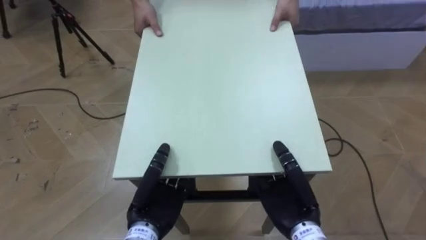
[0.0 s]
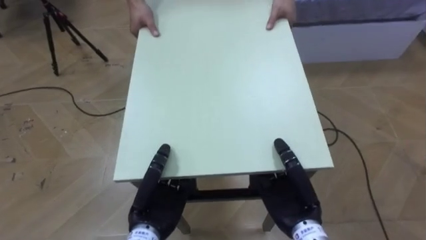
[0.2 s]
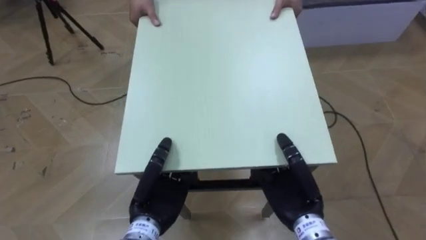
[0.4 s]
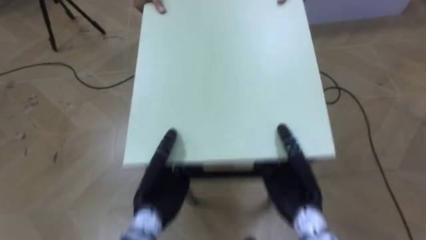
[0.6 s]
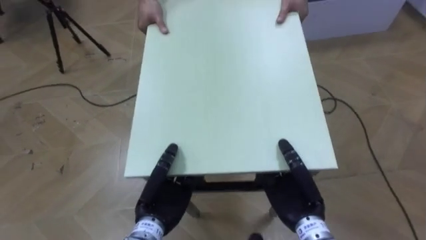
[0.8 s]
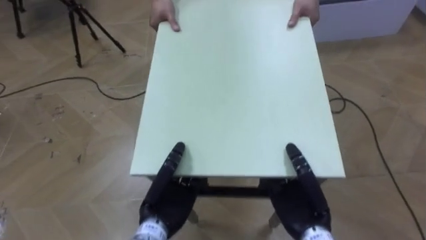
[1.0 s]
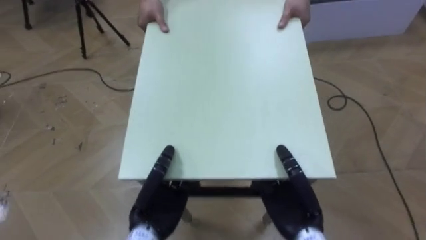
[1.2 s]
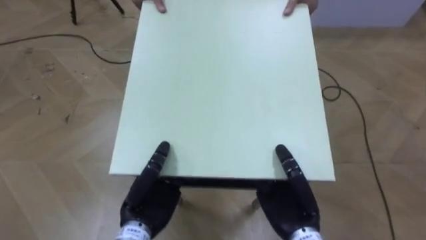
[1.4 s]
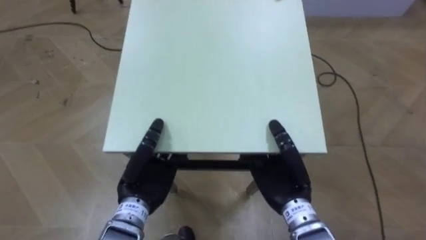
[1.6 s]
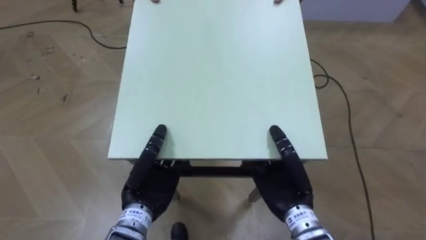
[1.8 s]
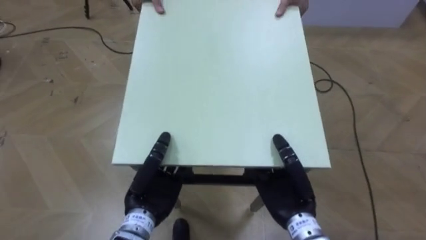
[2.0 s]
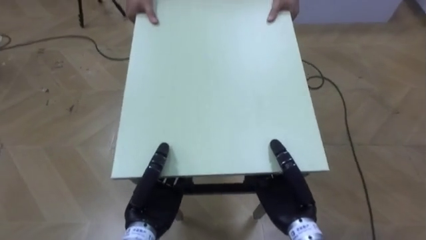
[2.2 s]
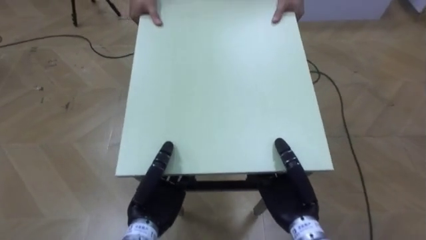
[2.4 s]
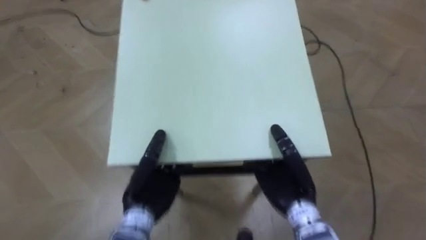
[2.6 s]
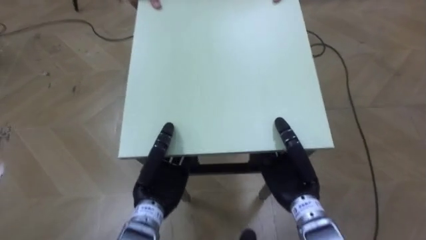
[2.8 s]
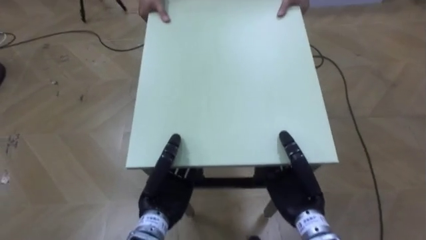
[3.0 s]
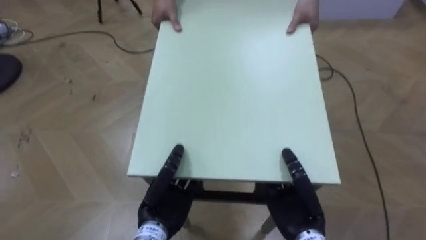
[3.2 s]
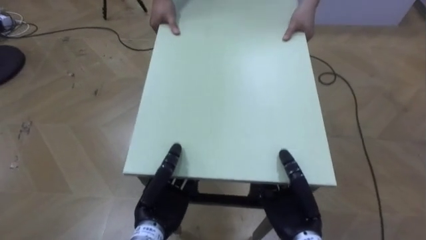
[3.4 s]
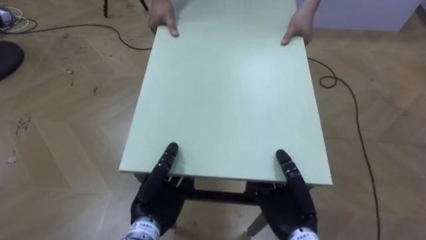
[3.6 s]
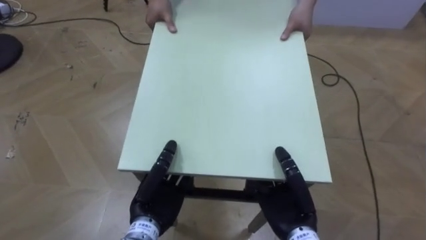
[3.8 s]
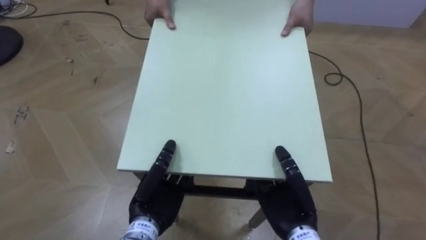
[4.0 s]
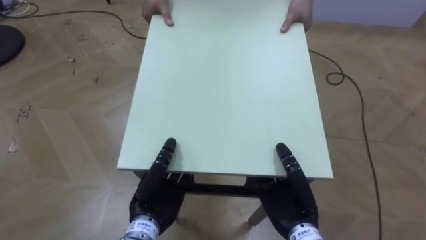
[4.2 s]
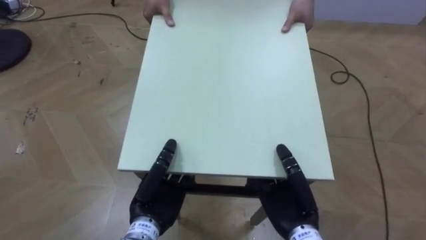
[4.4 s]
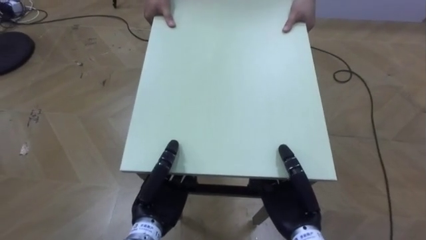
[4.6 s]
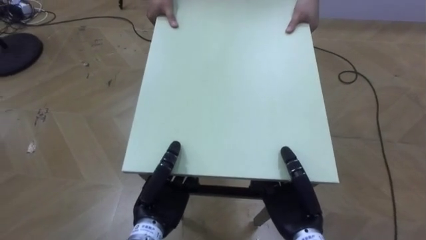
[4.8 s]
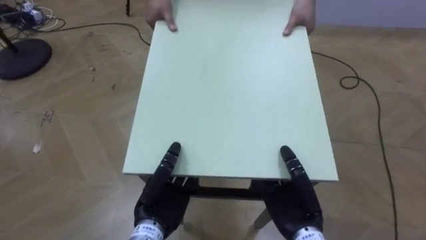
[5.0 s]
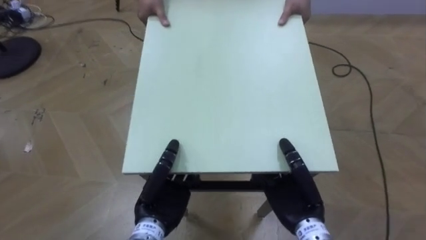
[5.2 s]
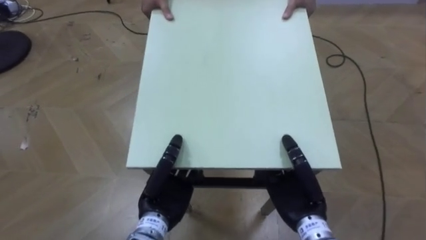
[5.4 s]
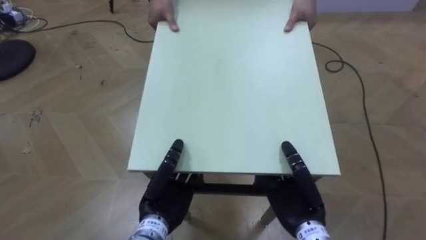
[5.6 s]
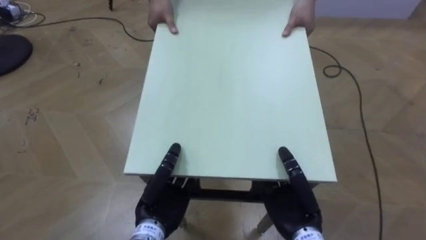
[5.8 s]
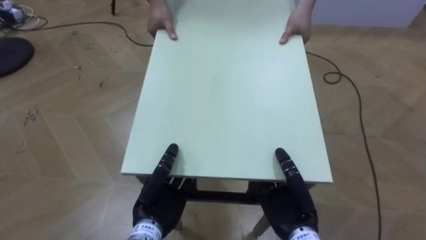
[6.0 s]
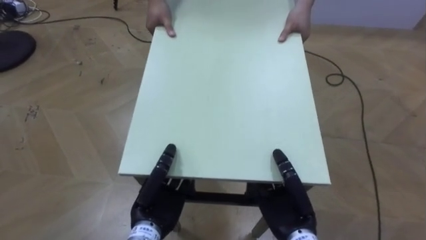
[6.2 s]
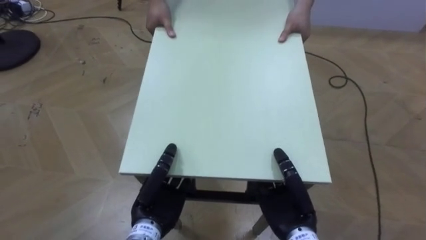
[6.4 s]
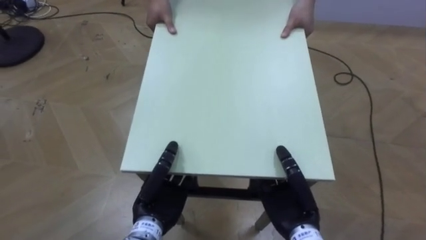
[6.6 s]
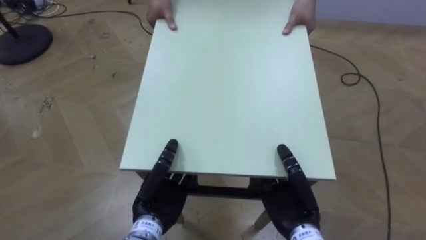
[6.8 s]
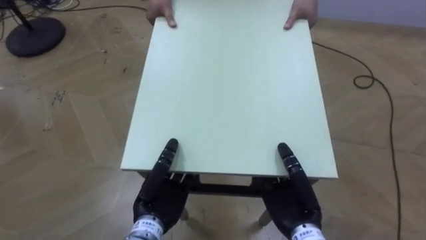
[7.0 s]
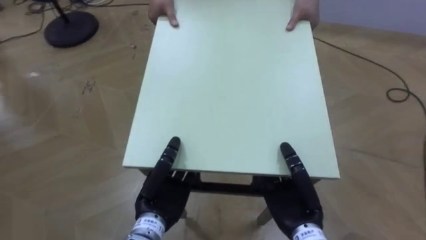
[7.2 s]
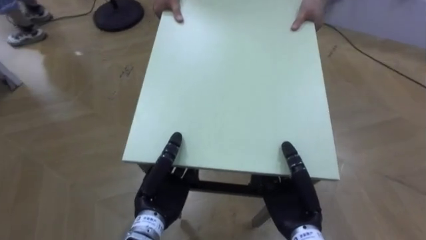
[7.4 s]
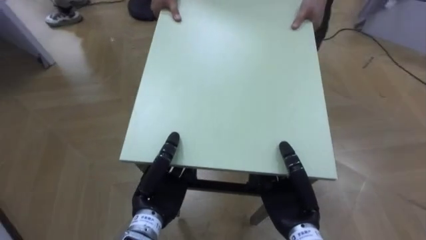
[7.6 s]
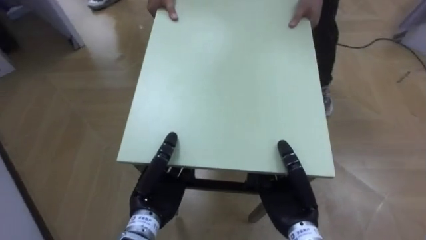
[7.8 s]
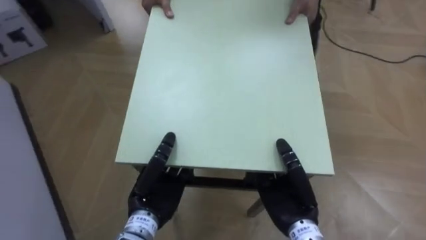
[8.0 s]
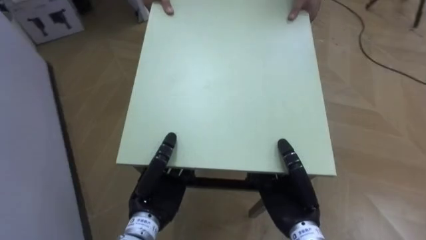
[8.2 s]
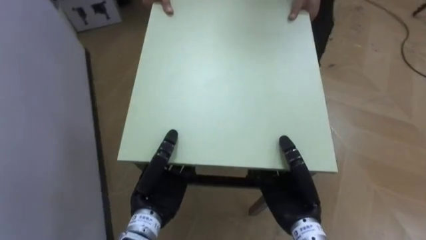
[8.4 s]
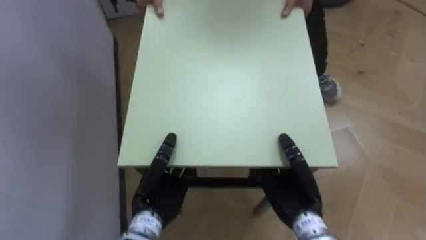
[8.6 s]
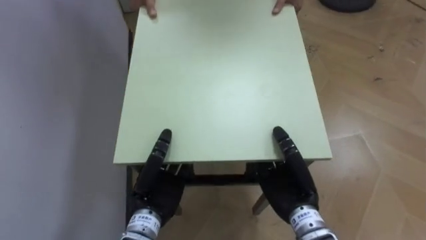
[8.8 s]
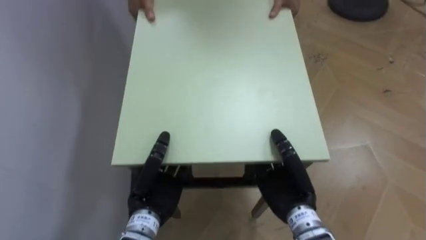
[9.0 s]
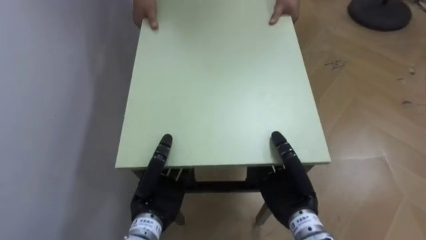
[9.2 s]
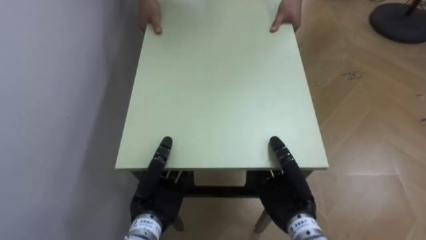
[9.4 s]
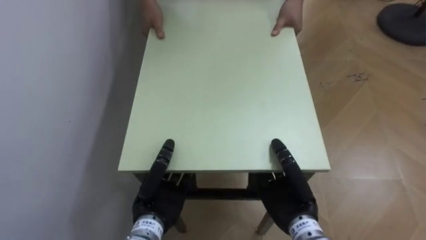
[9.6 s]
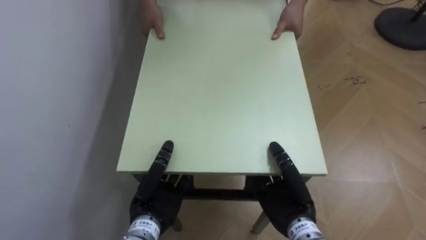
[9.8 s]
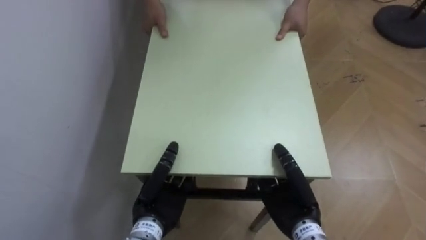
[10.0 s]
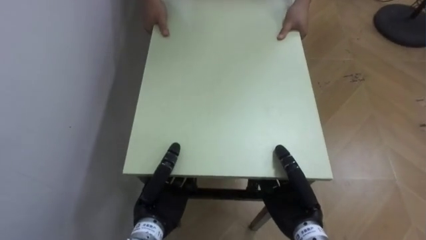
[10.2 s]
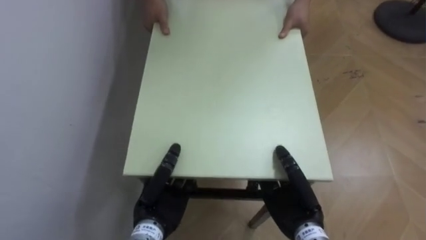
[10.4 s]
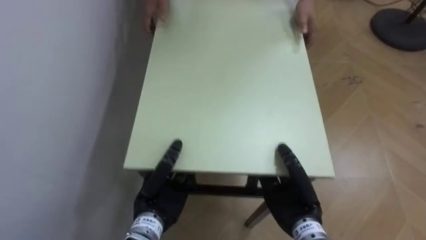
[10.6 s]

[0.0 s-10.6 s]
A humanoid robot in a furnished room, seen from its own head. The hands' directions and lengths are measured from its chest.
Task of the whole recording: Move the table to the back left with someone.
6.0 to 7.6 s: The robot's body swings roughly 30 degrees to its left.
7.6 to 9.0 s: The robot's body swings about 40 degrees to its left.

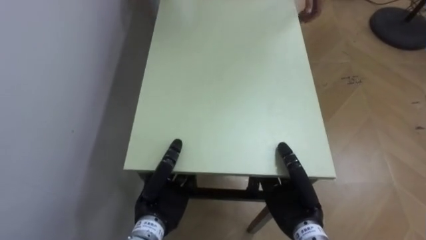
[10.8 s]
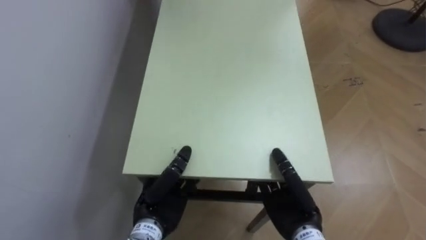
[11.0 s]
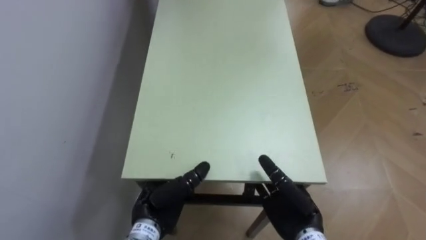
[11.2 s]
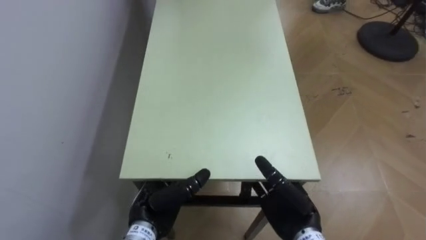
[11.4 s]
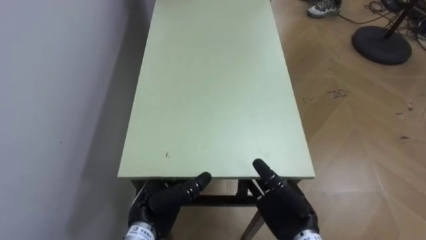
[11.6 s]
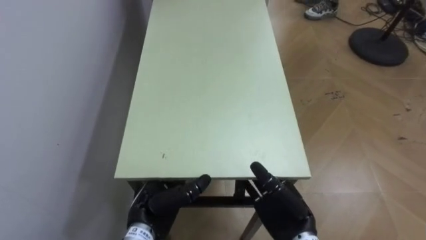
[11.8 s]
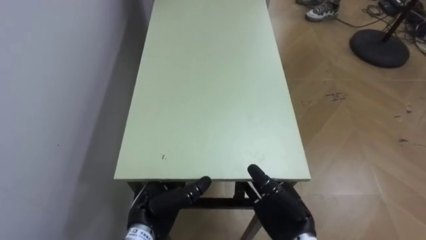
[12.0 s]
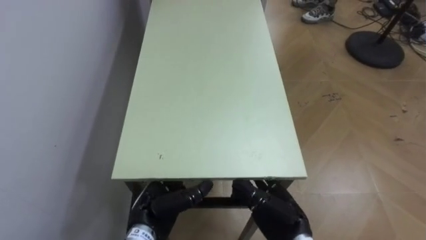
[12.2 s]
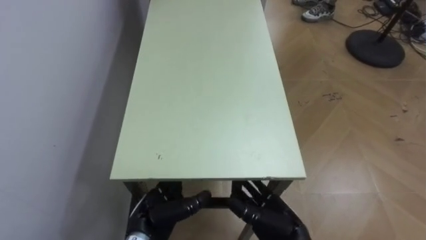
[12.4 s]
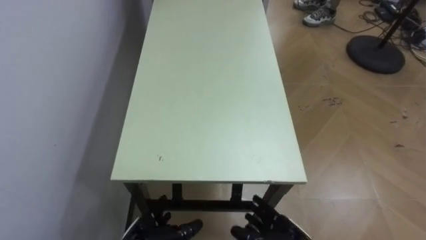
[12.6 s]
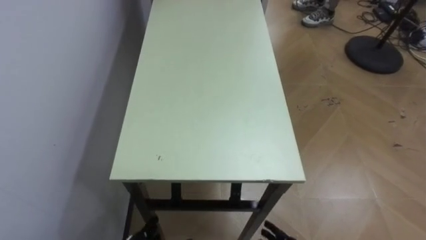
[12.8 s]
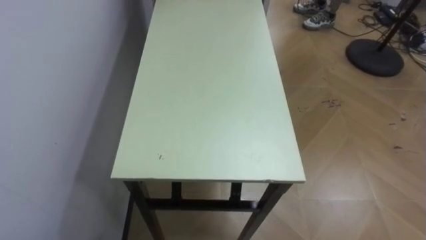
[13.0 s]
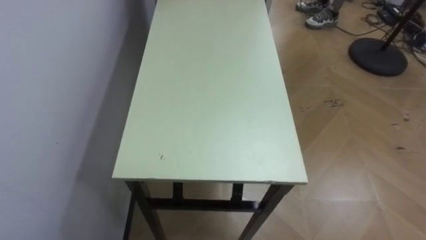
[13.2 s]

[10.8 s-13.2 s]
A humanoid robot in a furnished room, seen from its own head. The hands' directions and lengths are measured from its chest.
Task of the whole recording: Move the table to the back left with someone.
10.8 to 12.0 s: The left hand opens its fingers. The right hand opens up.

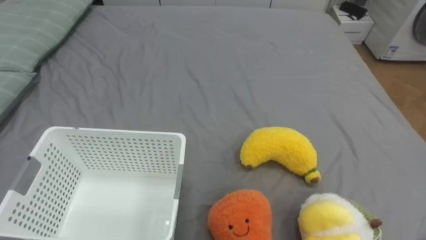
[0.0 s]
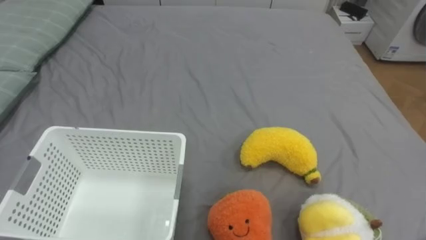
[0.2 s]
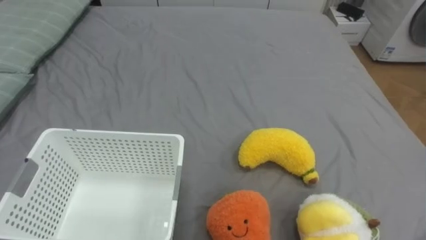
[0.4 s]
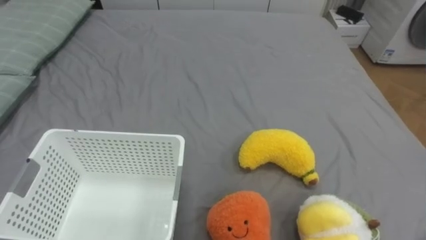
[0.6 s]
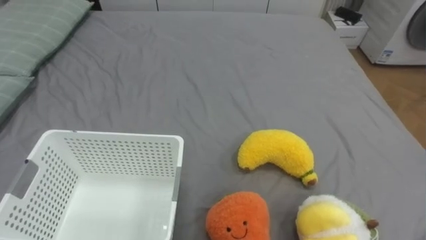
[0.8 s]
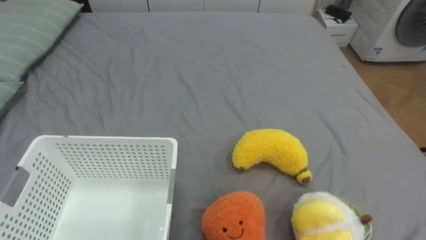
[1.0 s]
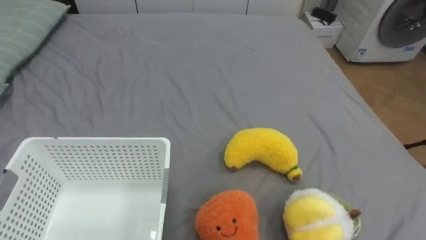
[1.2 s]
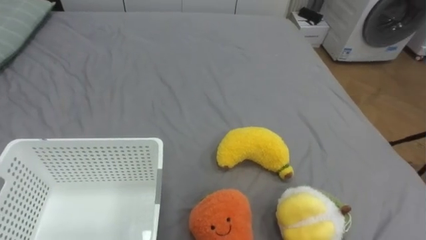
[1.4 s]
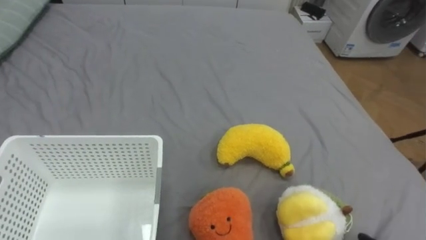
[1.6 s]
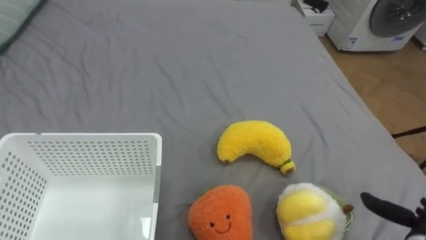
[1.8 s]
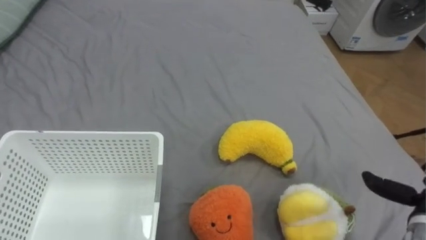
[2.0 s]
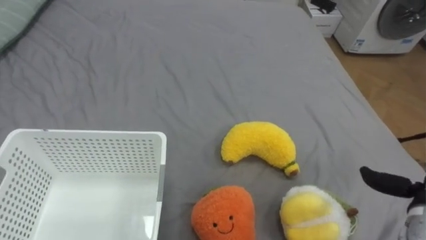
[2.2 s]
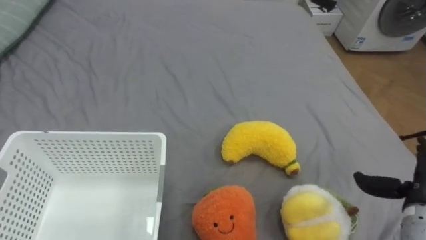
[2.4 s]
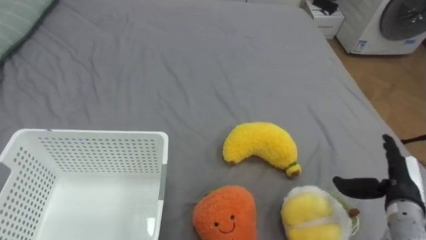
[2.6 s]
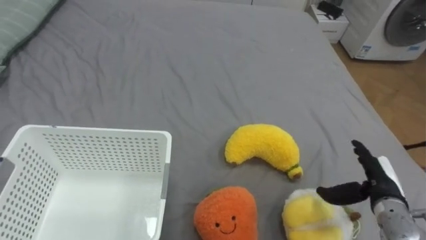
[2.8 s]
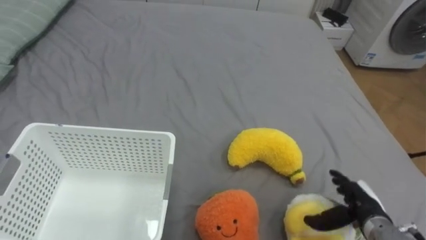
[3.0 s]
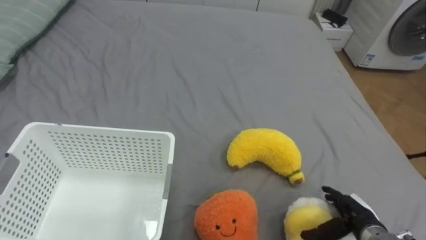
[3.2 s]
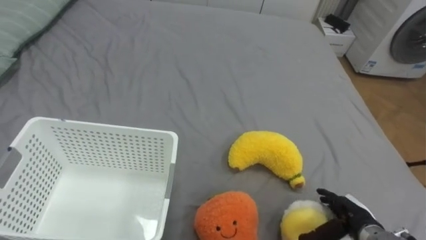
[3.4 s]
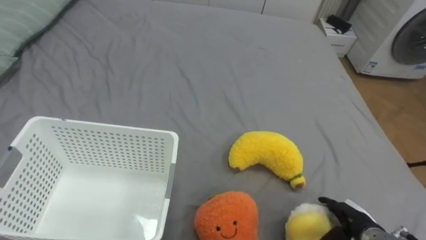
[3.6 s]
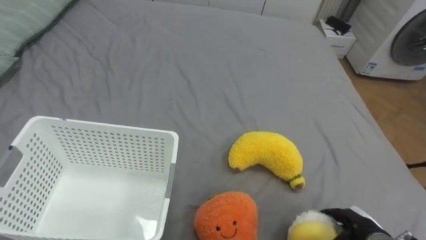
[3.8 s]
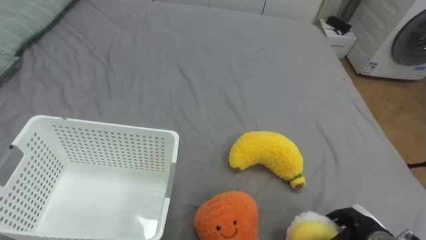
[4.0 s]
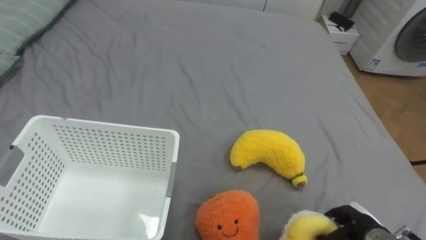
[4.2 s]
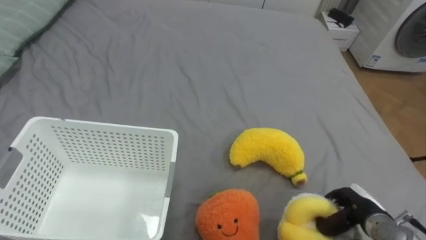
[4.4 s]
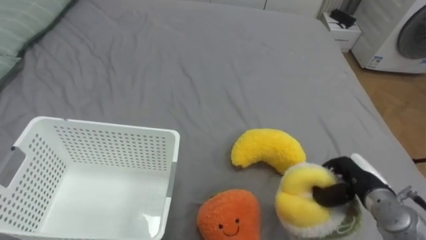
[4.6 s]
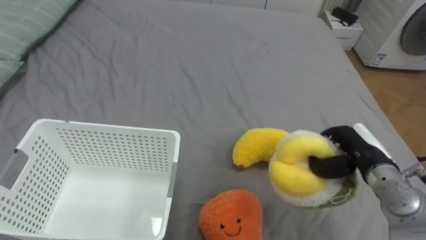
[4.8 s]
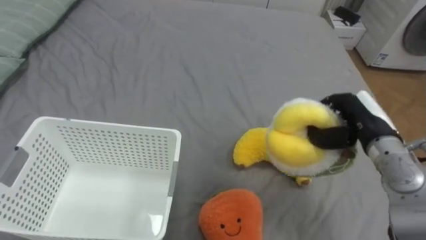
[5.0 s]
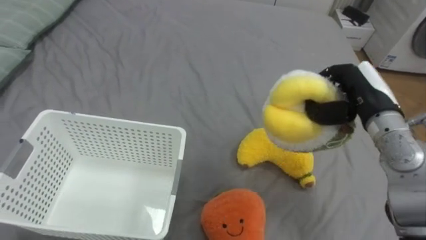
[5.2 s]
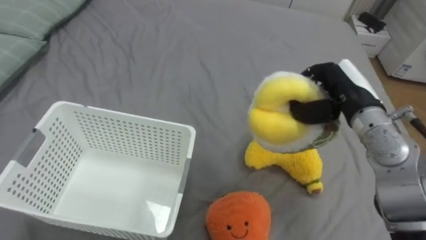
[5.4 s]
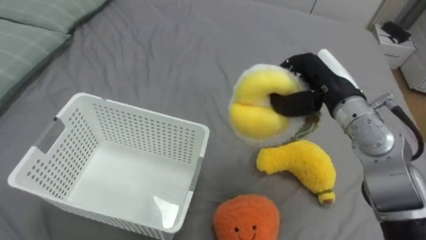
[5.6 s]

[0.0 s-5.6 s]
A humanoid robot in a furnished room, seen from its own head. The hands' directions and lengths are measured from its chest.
Task of the whole recording: Put the toys on the bed into the basket on the left.
2.8 to 4.2 s: The right hand moves downward and backward, roughly 10 cm, and closes.
4.2 to 5.6 s: The right hand shifts some 30 cm upward, forward and to the left.
